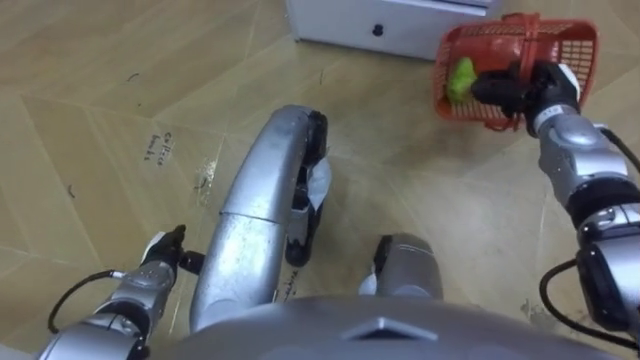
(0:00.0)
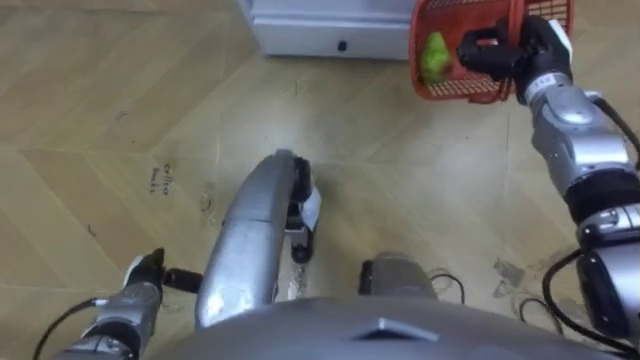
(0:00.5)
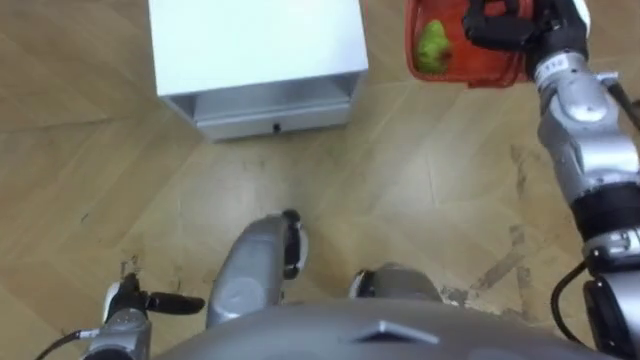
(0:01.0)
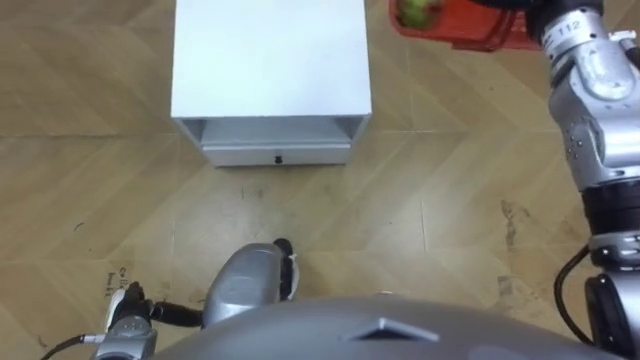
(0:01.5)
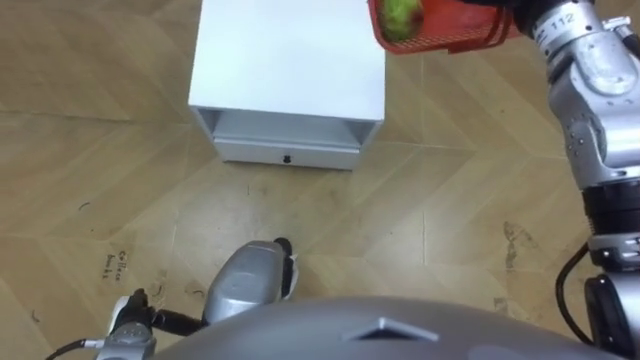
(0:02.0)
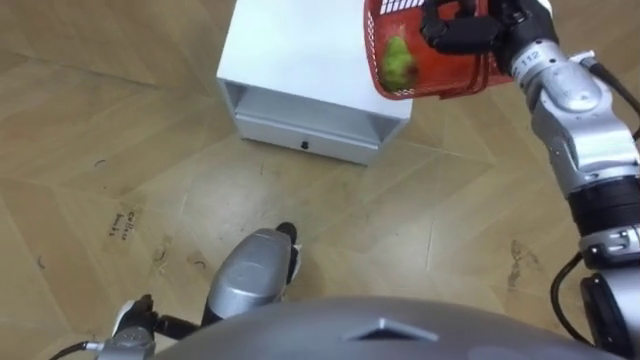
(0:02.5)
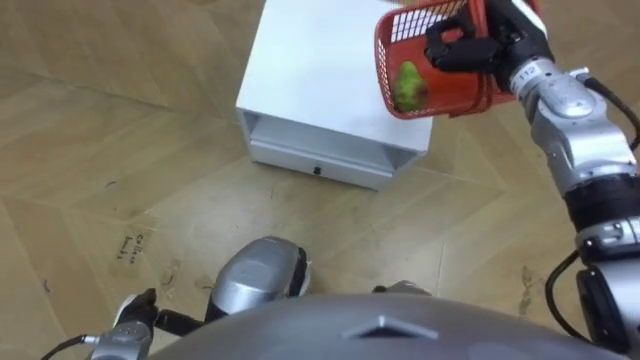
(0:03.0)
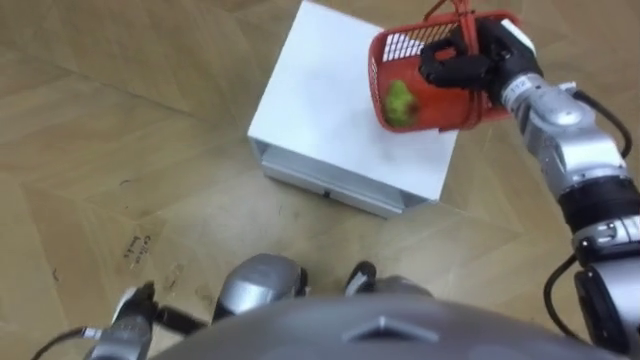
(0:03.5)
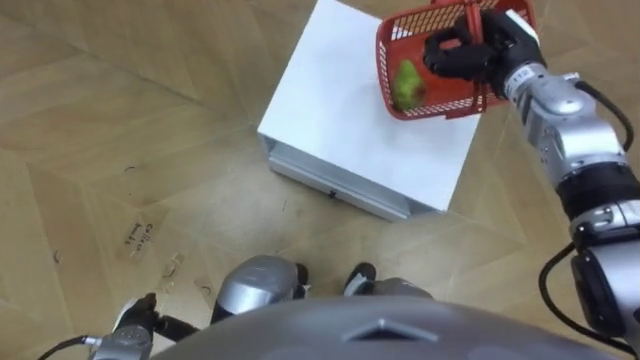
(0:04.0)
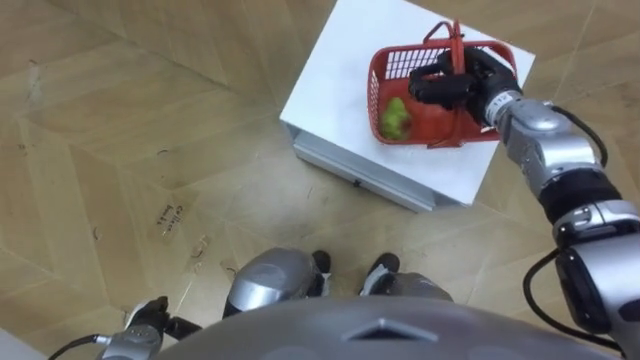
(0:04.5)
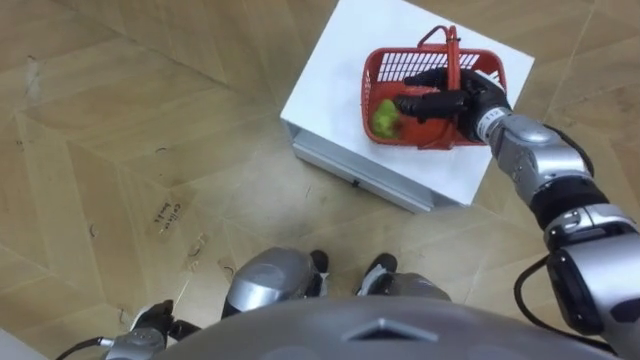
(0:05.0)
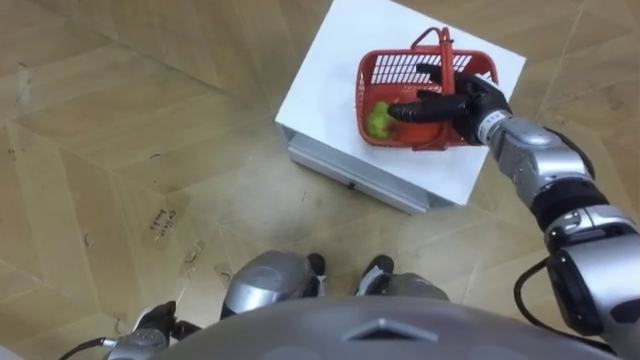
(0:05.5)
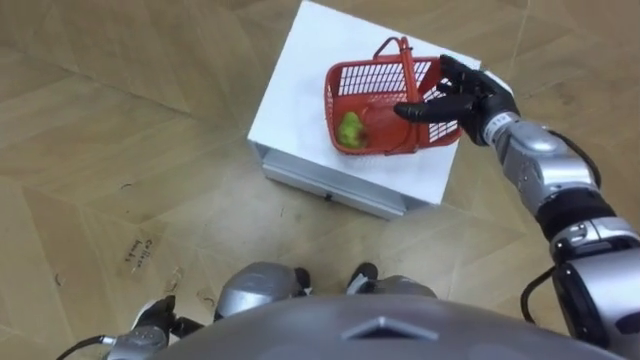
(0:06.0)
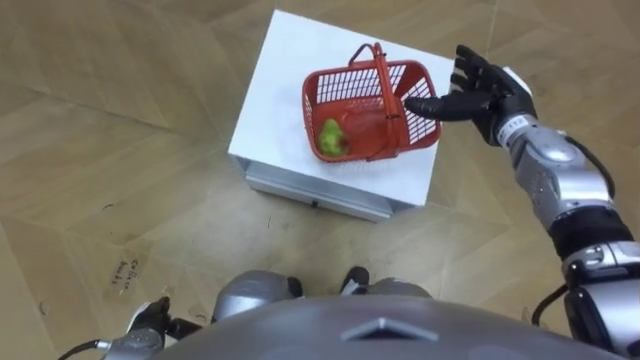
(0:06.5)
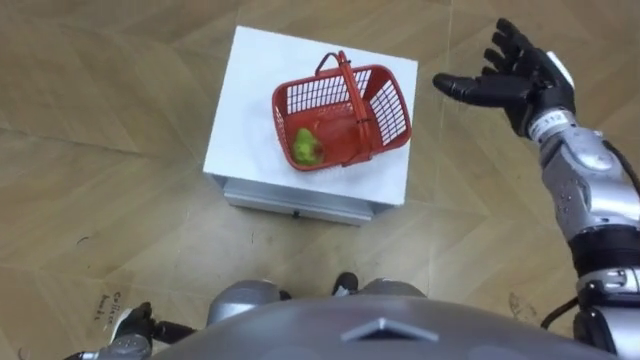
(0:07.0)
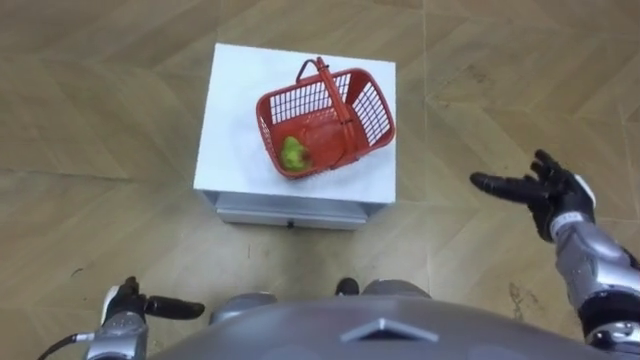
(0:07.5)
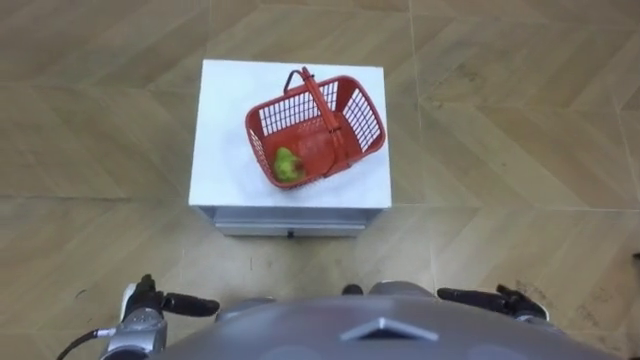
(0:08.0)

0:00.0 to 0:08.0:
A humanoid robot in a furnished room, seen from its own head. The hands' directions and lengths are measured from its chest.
Task of the whole recording: Pick up the fruit basket from the floor and place it on the cabinet.
0:00.0 to 0:02.0: The left hand shifts about 10 cm backward.
0:04.0 to 0:06.0: The right hand heads downward, covering approximately 5 cm, and opens up.
0:06.0 to 0:08.0: The right hand goes approximately 30 cm backward and downward.

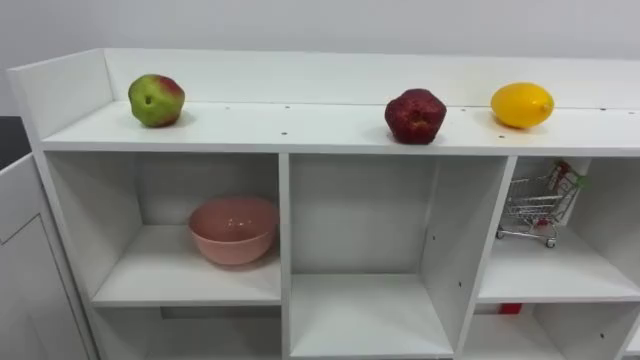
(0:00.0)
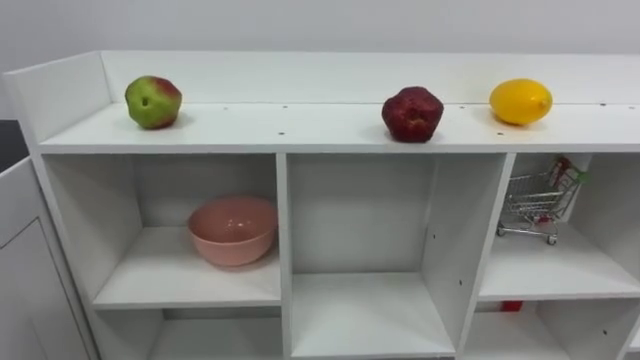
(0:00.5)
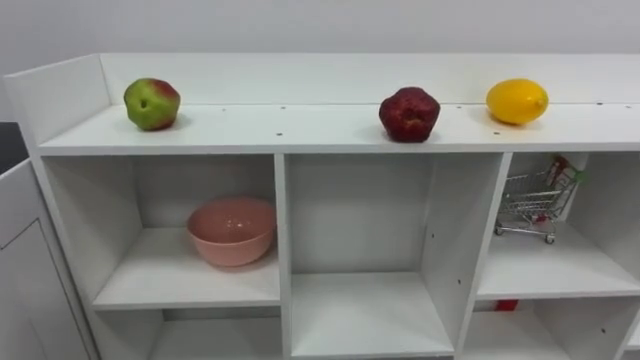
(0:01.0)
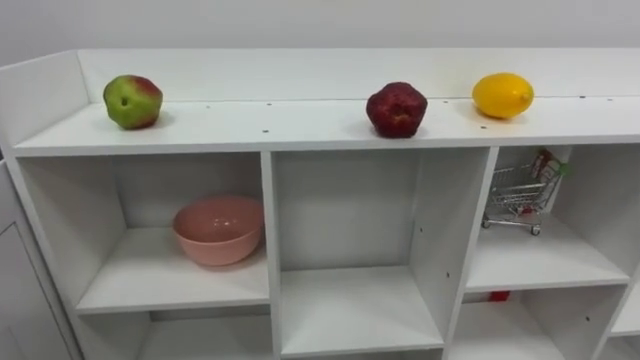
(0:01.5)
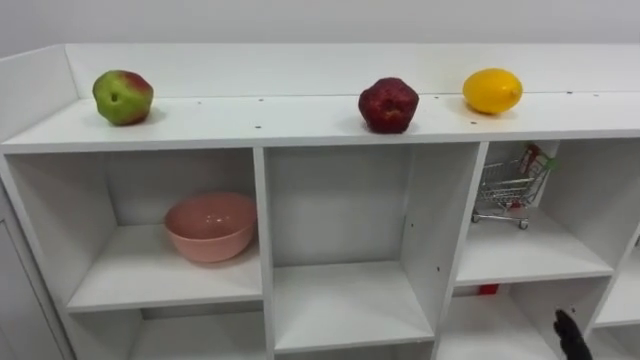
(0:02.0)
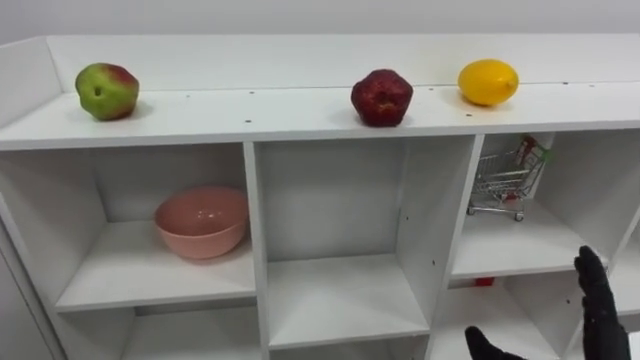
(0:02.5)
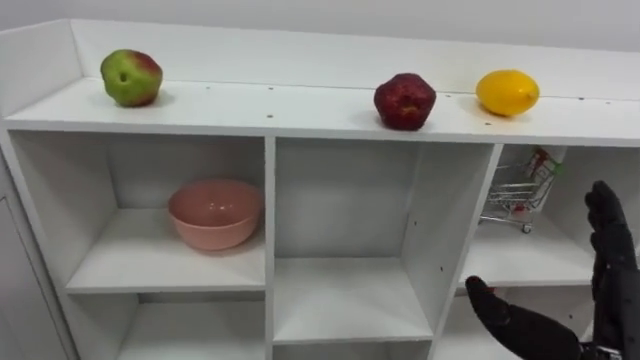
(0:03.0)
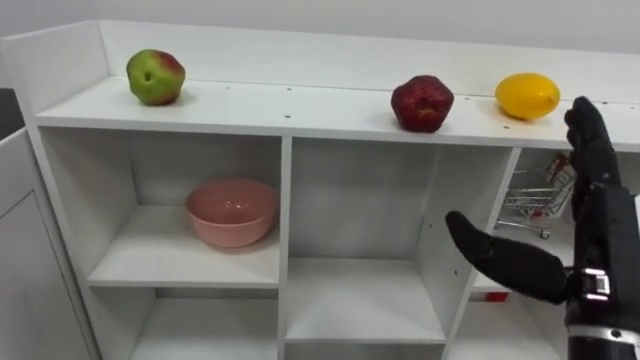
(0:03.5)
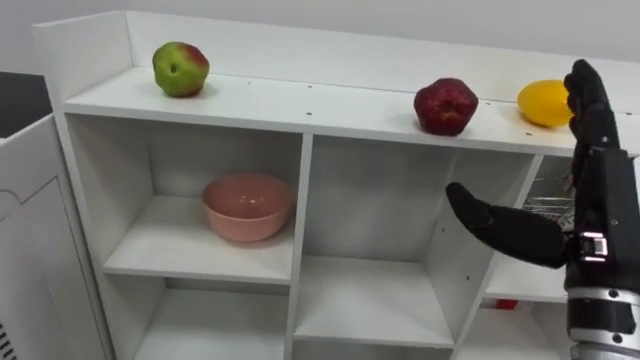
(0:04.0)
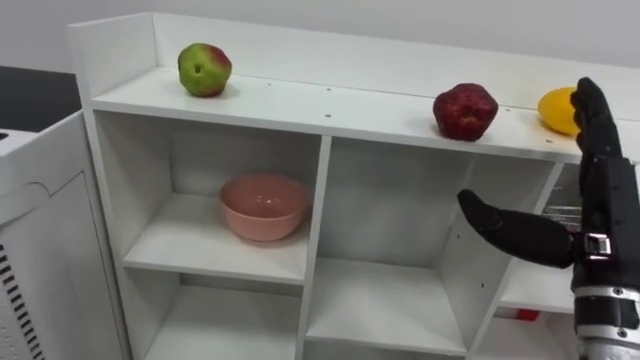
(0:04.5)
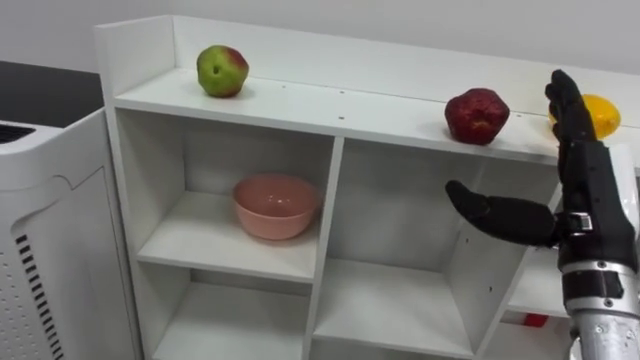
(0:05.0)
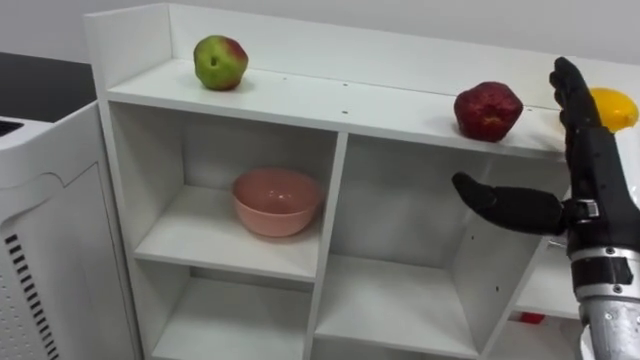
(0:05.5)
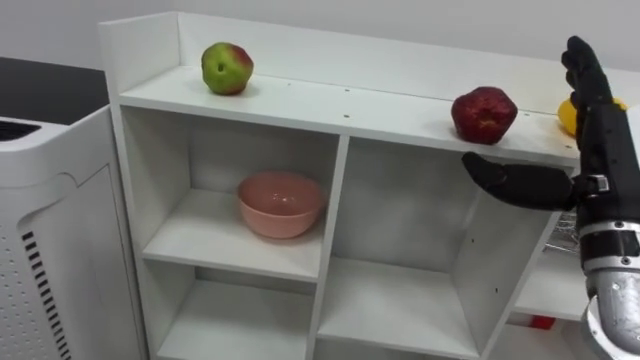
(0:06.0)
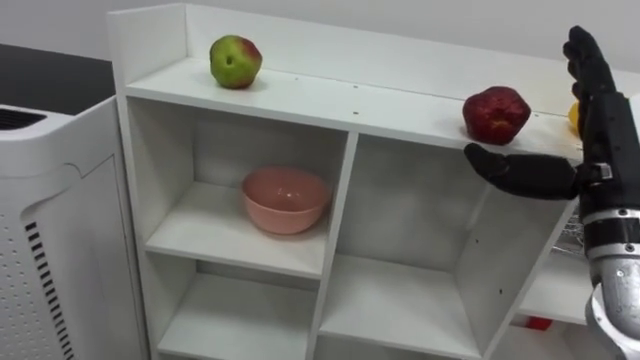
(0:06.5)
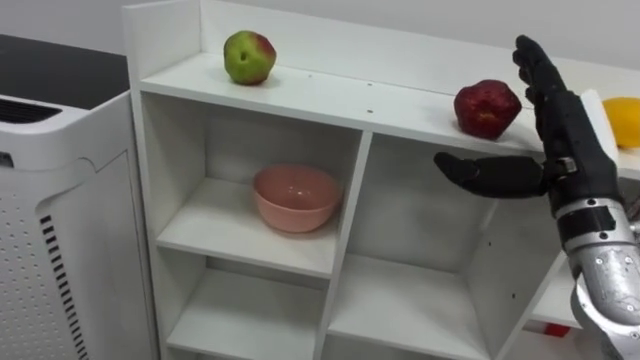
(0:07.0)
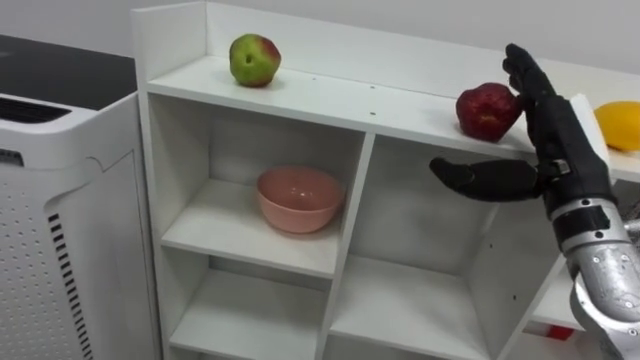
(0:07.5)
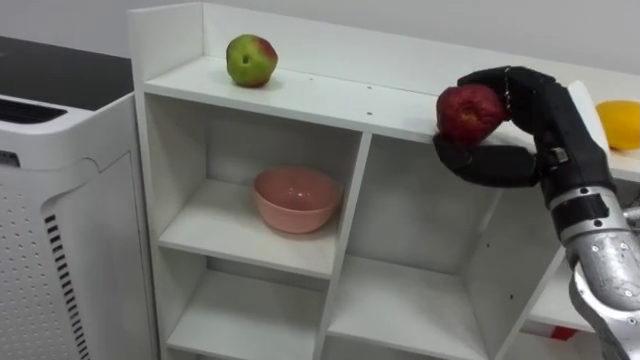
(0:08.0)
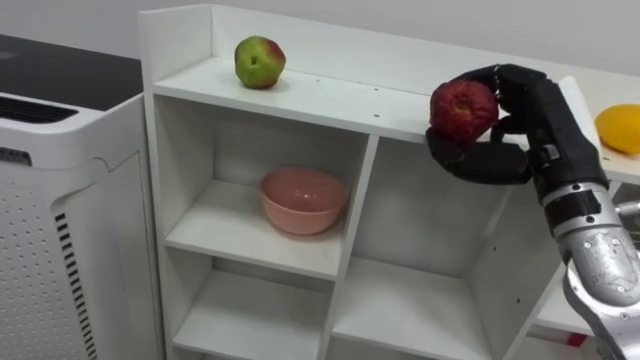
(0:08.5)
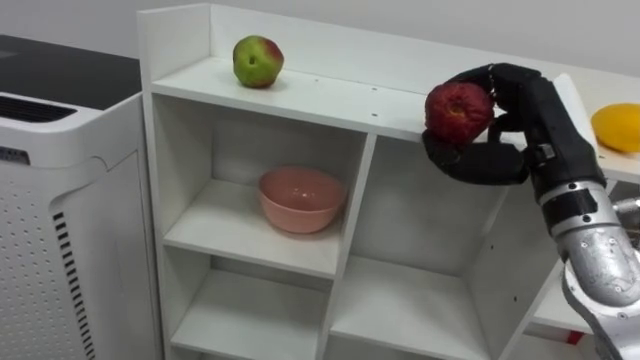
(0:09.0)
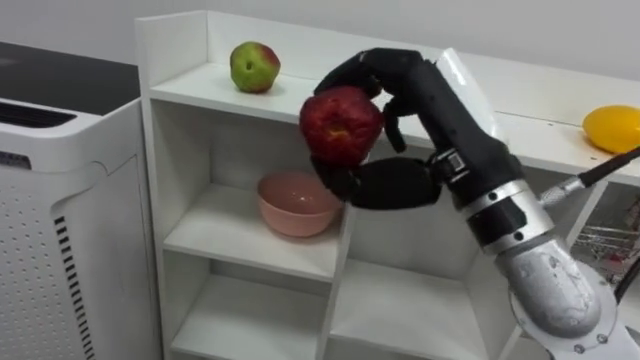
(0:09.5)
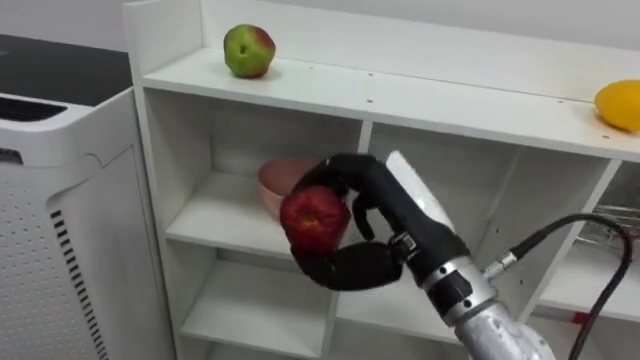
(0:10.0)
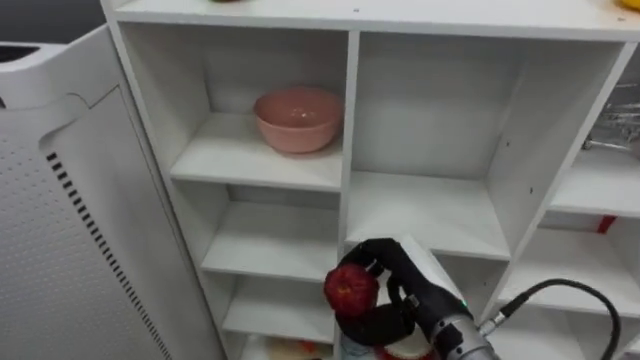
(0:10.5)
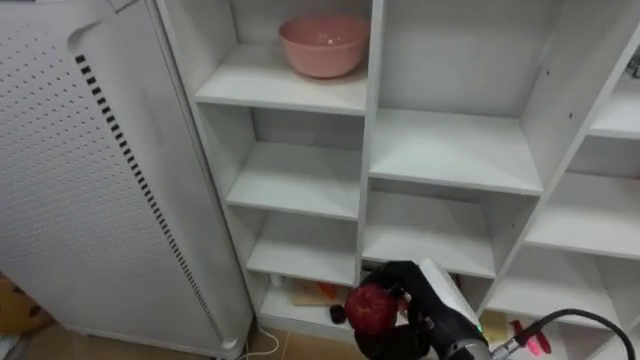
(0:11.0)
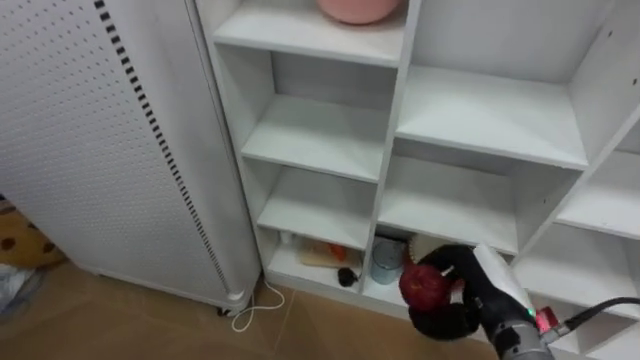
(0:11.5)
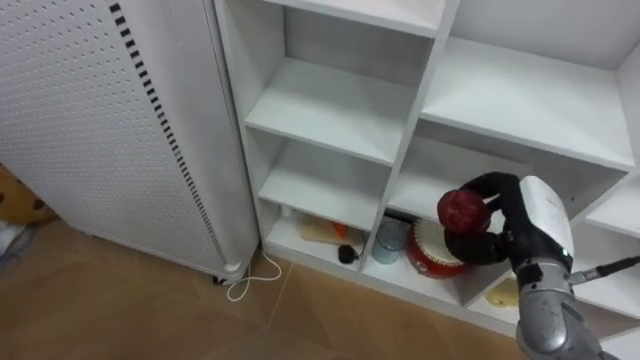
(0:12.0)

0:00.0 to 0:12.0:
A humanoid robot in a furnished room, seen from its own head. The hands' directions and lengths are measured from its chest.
Task of the whole recording: Put the apple in the cell in the second column from the left and the second row from the top.
0:04.0 to 0:06.0: The right hand heads forward, covering about 5 cm.
0:06.0 to 0:08.0: The right hand closes its fingers.
0:08.0 to 0:10.0: The right hand shifts some 15 cm to the left.
0:10.0 to 0:12.0: The right hand goes roughly 20 cm to the right, downward and forward.
